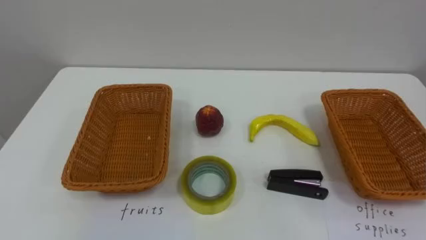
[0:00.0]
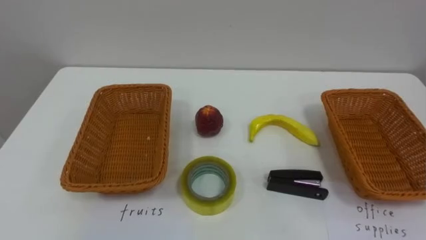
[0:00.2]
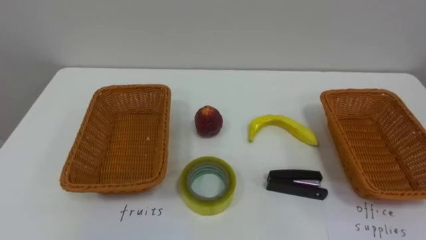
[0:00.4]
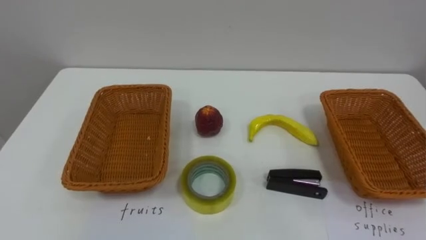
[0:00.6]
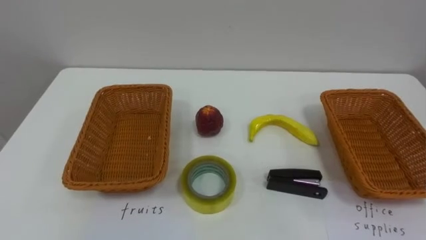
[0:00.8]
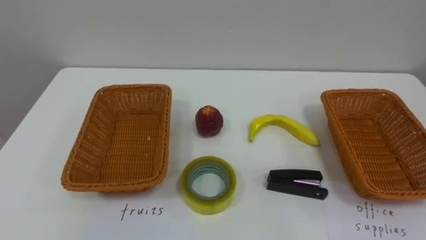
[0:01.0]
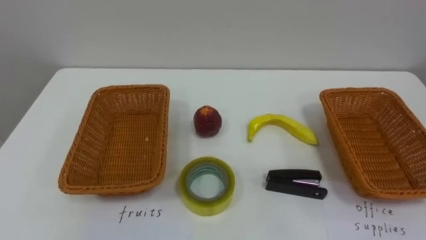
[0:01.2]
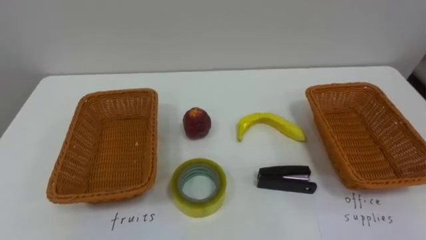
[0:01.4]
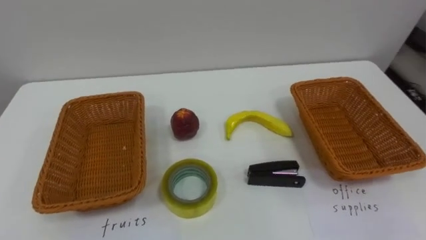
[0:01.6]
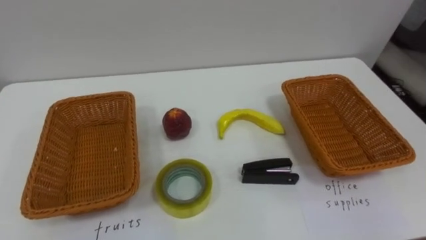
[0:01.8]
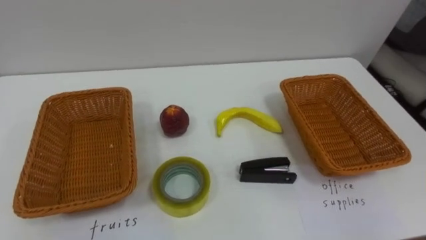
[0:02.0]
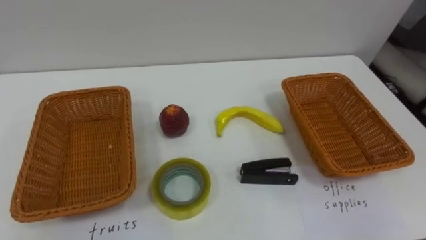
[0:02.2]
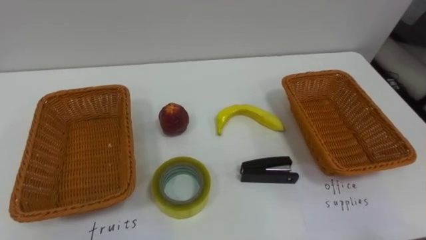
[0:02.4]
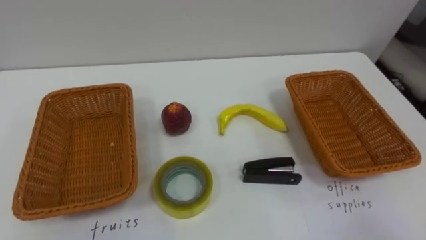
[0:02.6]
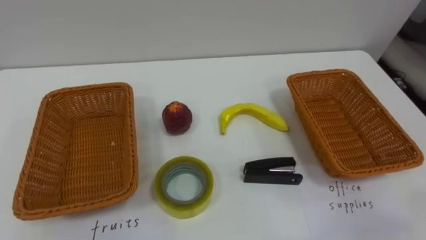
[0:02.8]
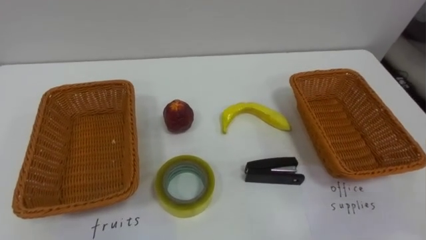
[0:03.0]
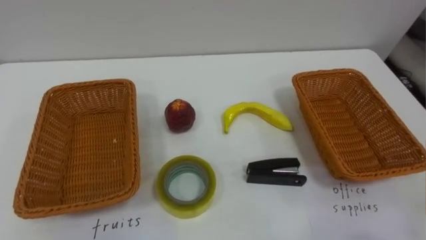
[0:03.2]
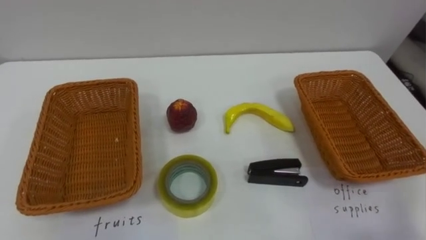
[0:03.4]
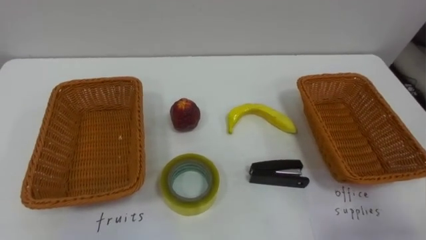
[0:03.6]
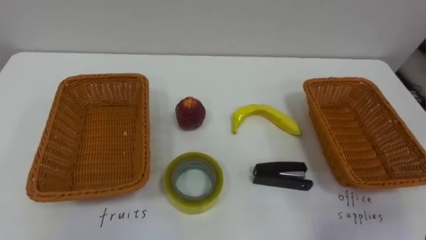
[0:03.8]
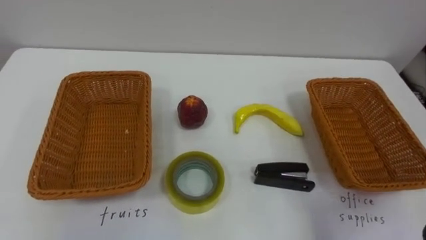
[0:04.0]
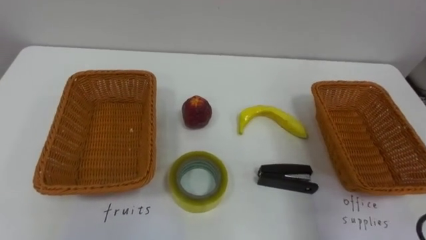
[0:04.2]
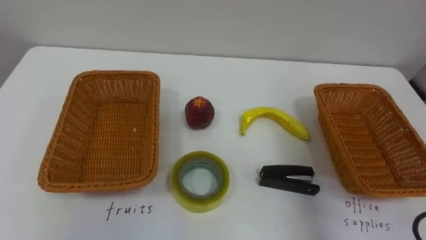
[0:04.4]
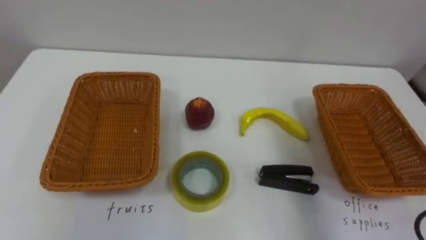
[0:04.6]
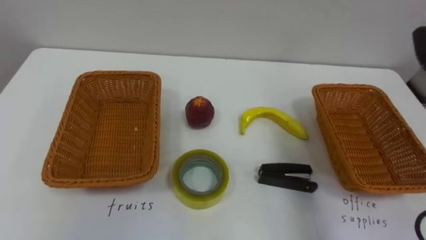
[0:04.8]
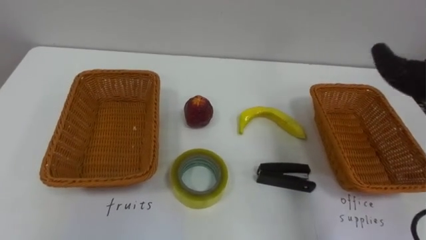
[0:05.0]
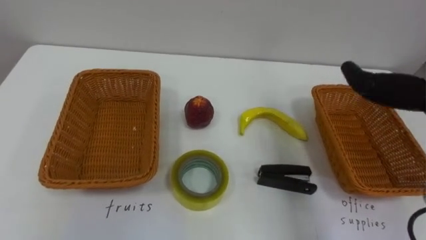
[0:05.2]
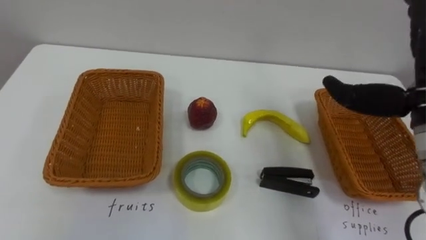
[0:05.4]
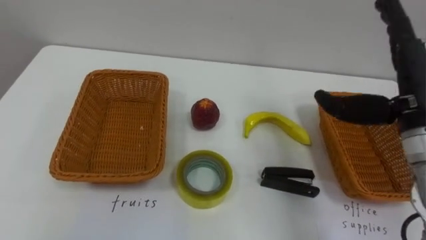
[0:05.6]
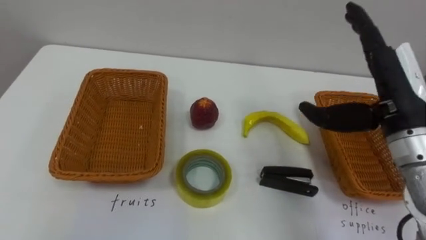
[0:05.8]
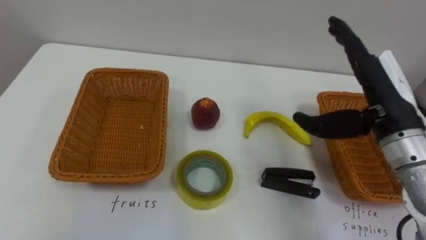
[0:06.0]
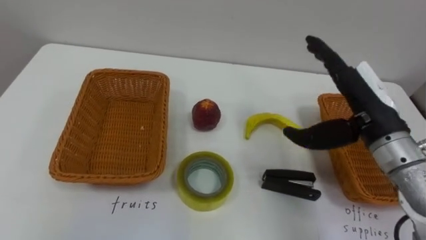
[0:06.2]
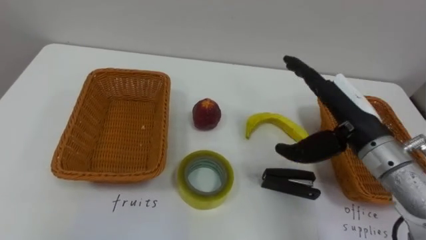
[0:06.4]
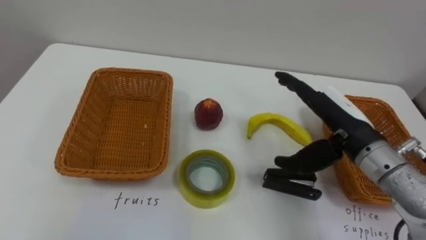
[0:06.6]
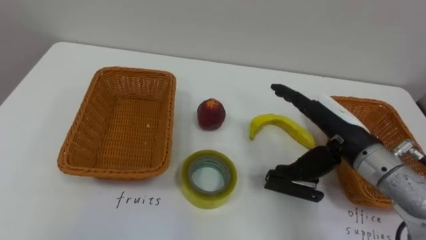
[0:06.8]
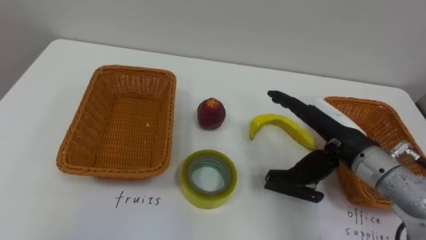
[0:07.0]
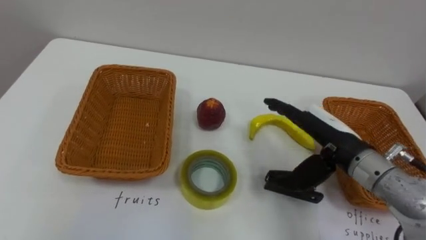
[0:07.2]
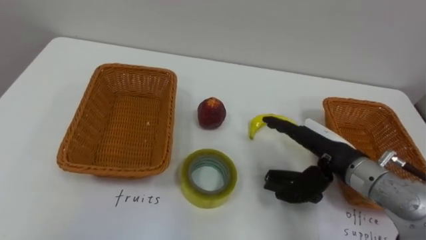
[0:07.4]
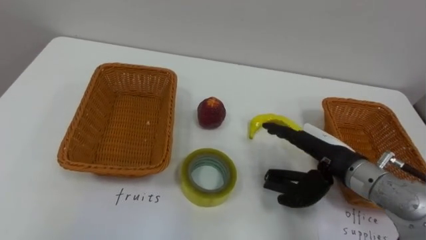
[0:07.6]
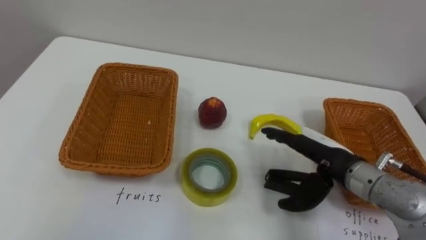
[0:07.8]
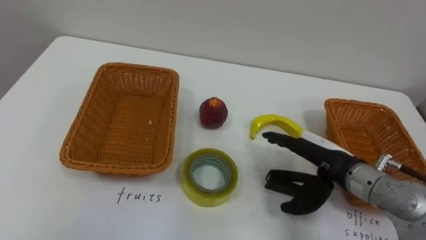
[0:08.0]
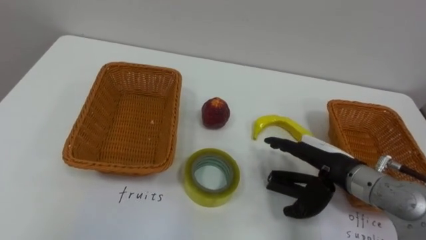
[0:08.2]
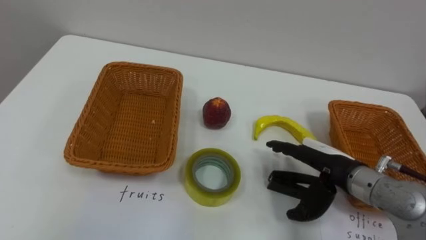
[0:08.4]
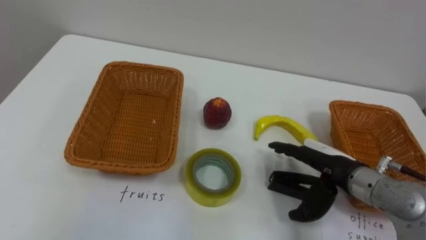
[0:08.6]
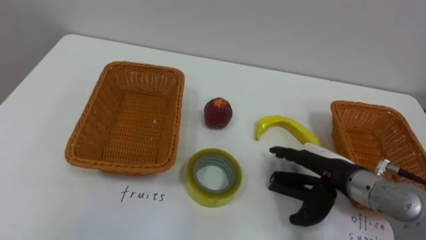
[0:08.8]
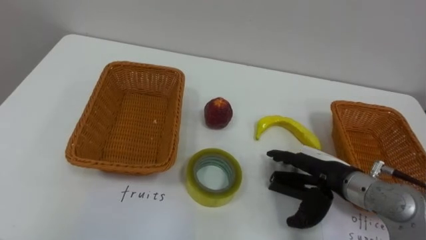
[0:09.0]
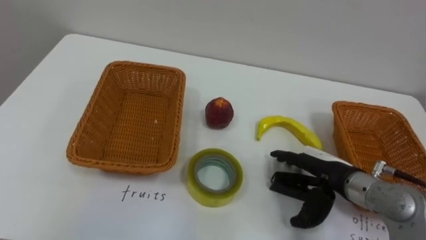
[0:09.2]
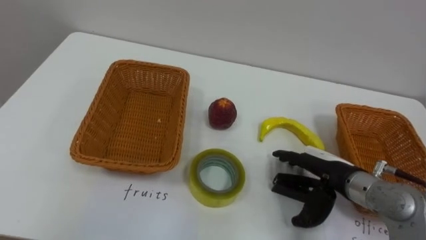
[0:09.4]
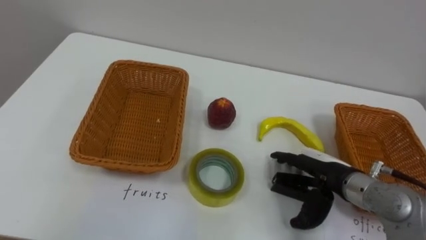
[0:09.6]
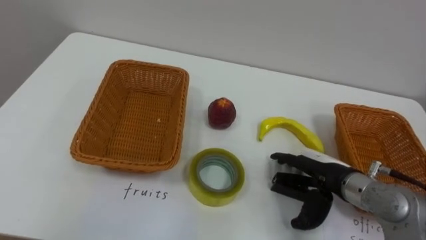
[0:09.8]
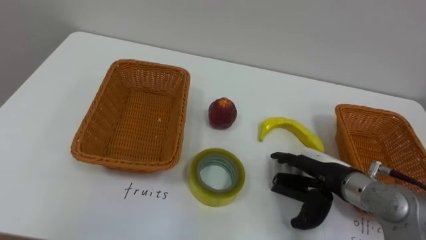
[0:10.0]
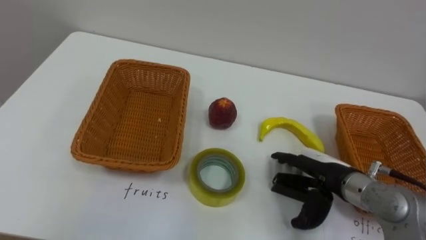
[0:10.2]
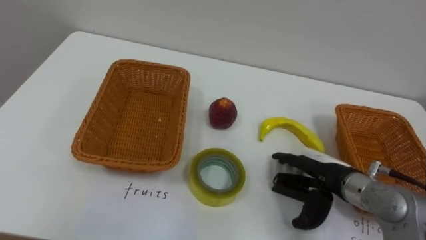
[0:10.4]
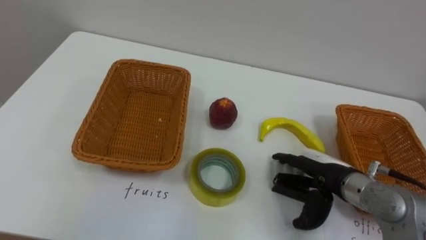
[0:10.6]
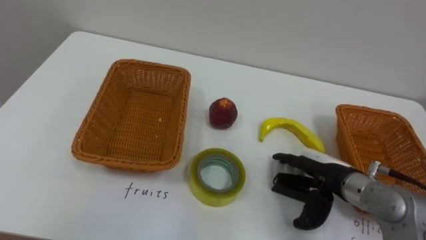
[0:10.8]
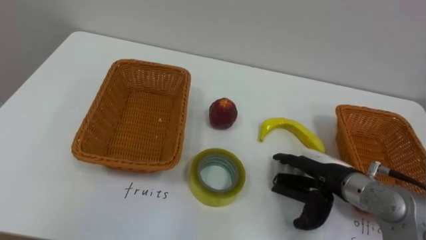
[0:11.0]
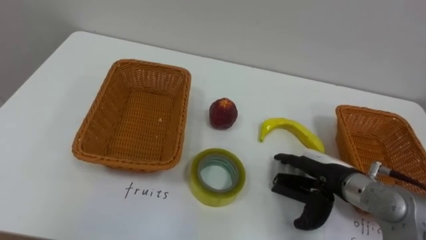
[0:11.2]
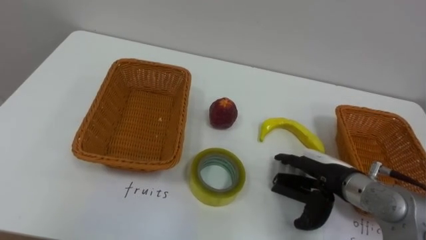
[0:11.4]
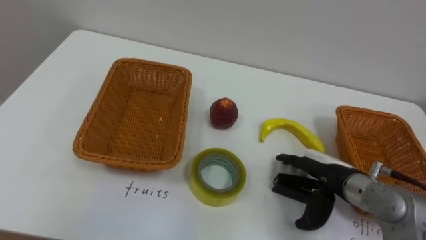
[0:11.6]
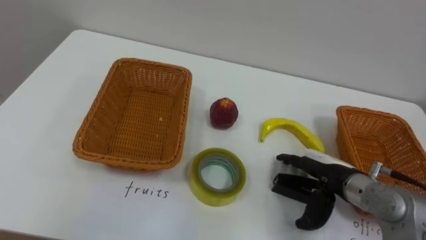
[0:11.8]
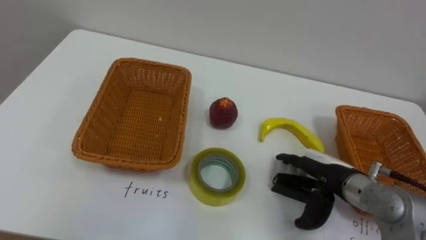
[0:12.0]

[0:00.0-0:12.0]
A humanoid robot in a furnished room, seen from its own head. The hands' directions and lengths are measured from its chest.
Task of the whole recording: Separate the items on the table and place them into the two baskets.
6.0 to 7.6 s: The right hand is displaced downward by approximately 10 cm.

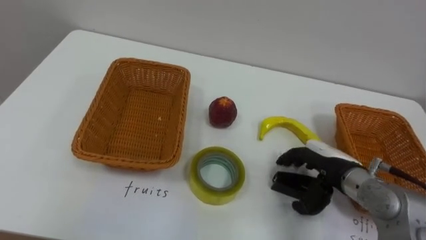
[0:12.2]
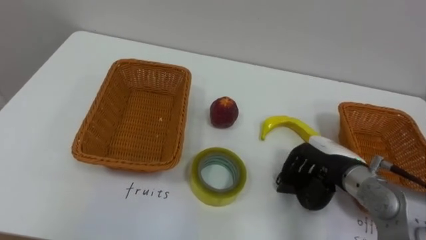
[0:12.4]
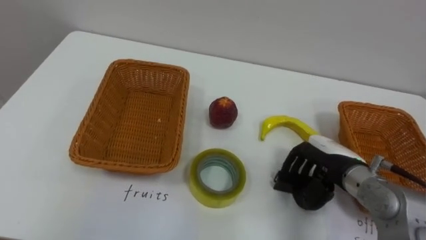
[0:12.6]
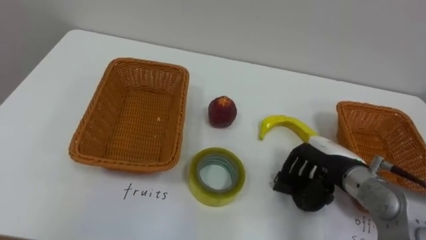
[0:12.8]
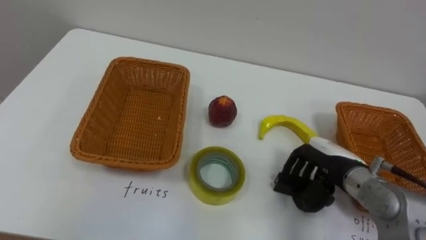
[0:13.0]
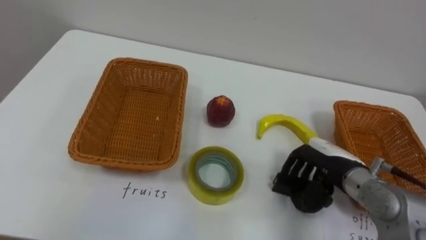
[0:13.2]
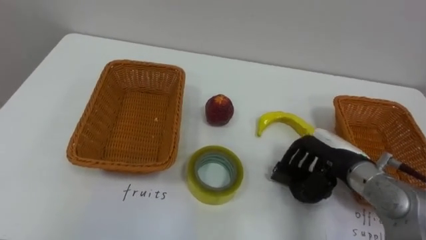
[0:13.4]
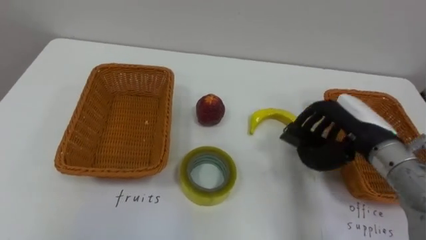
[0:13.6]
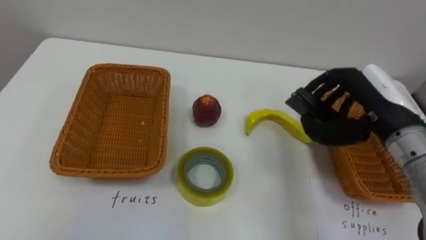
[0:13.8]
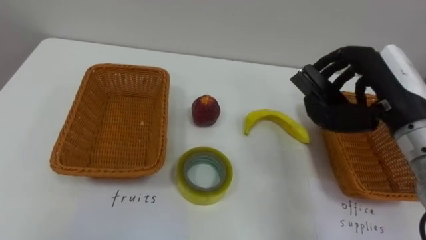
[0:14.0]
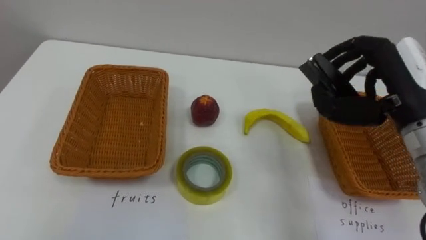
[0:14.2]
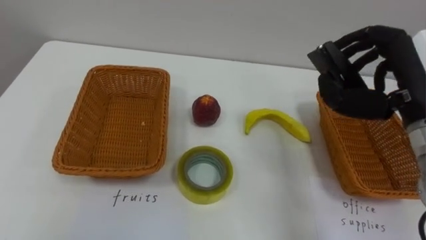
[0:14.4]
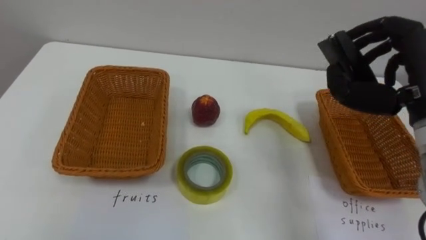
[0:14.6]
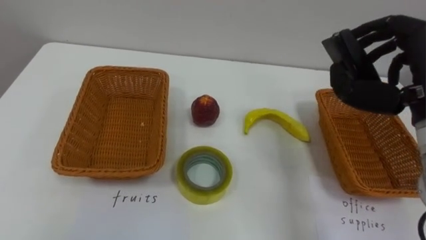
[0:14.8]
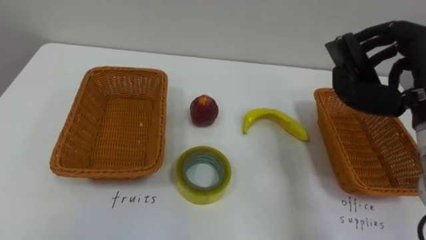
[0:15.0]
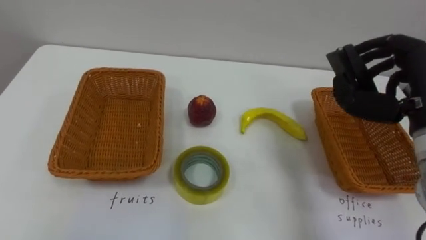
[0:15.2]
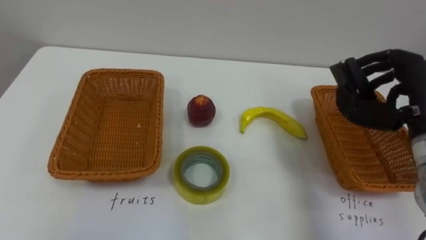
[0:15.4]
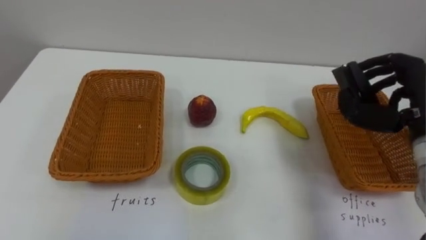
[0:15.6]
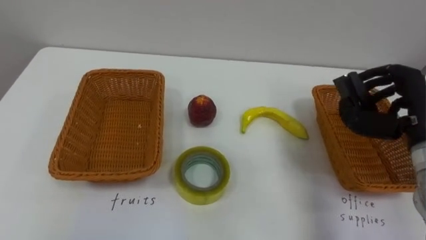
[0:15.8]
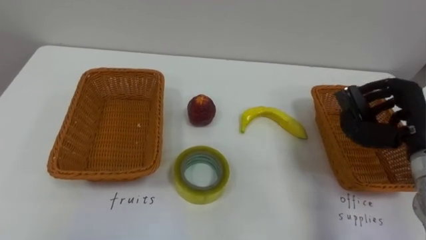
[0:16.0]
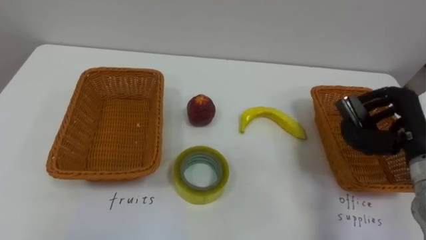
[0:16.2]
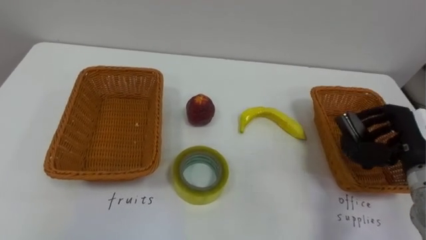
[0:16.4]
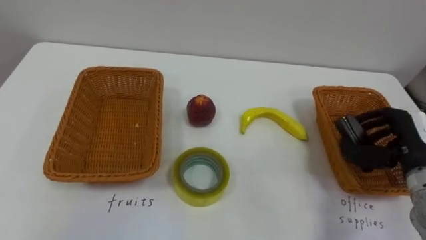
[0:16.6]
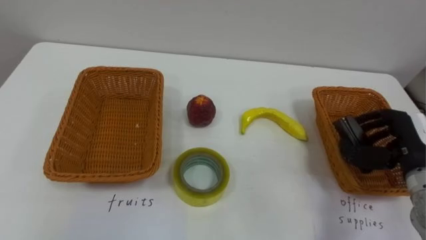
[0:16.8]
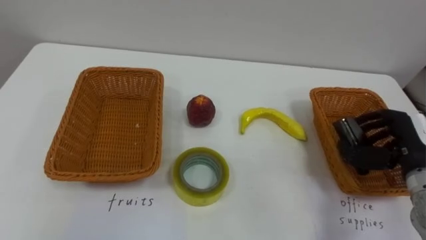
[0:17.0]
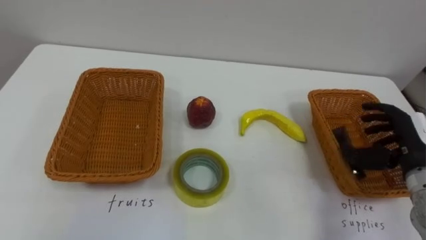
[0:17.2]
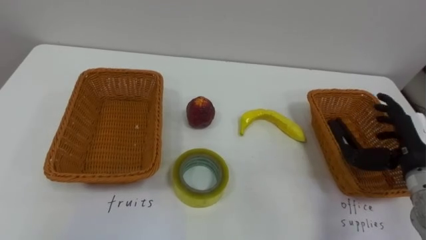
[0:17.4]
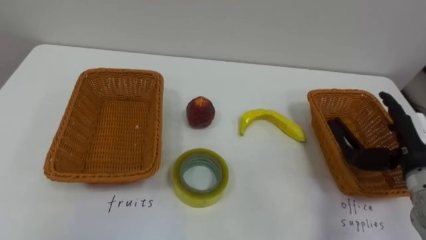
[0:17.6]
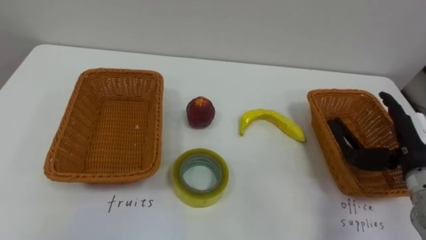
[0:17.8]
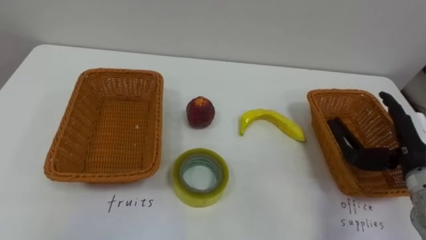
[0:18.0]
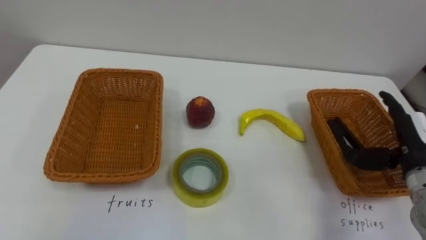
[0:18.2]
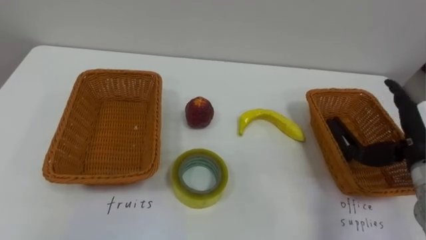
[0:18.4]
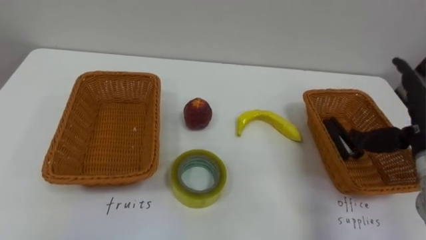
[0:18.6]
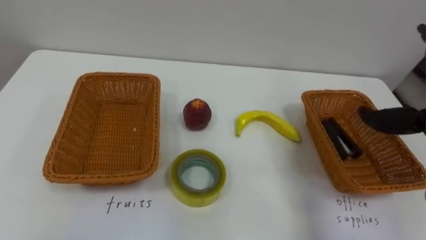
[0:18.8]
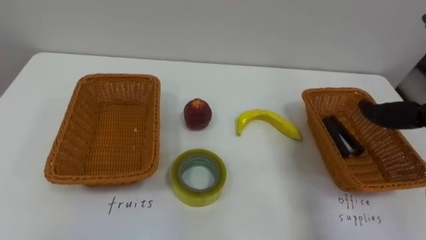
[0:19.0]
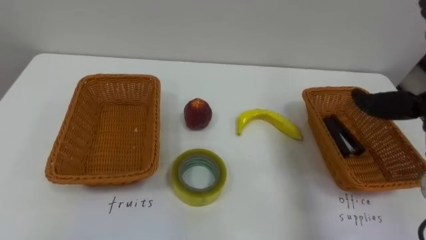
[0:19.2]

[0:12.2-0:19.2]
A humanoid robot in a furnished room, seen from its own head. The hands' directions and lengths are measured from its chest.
Task of the whole recording: Separate the items on the table and place them into the two baskets.
12.2 to 13.6 s: The right hand goes approximately 10 cm upward, and closes its fingers.
13.6 to 15.0 s: The right hand is displaced upward by approximately 10 cm.
15.0 to 16.4 s: The right hand heads downward, covering about 15 cm.
16.4 to 17.8 s: The right hand opens up.
